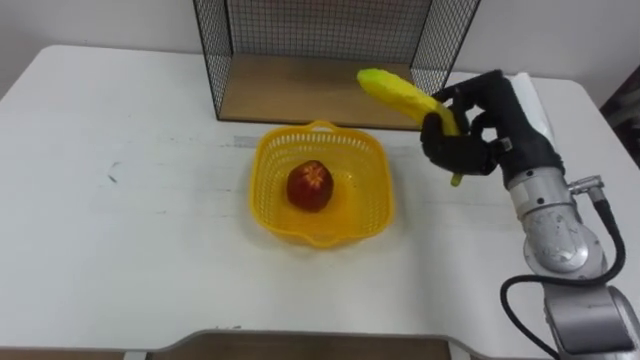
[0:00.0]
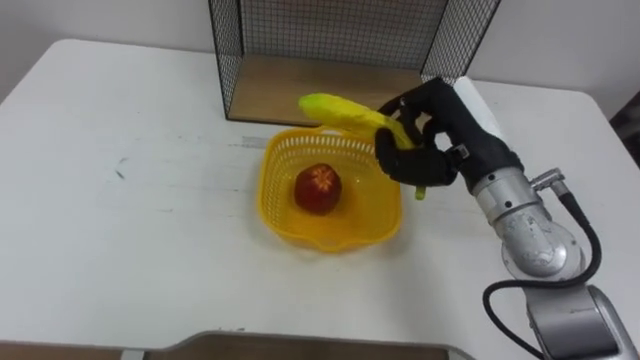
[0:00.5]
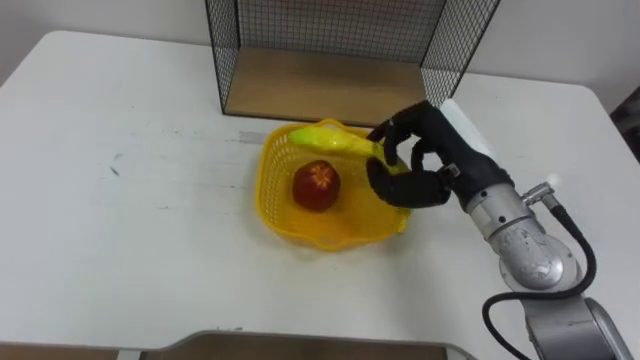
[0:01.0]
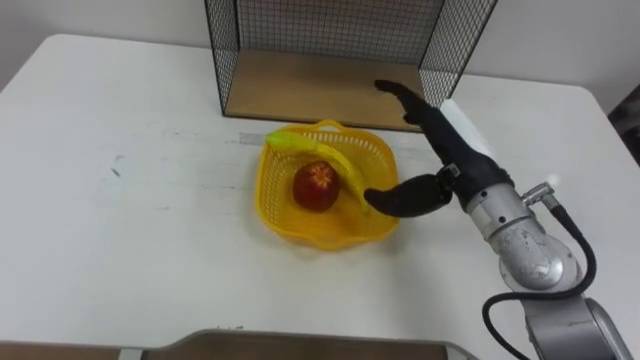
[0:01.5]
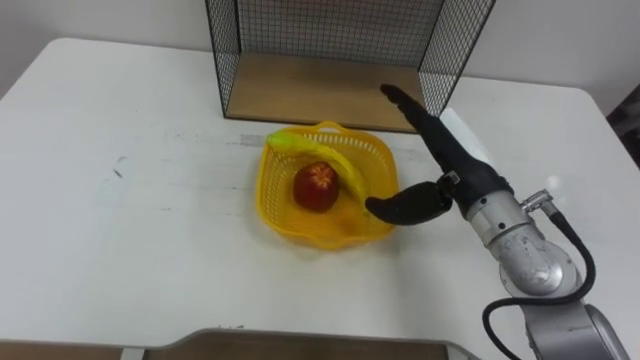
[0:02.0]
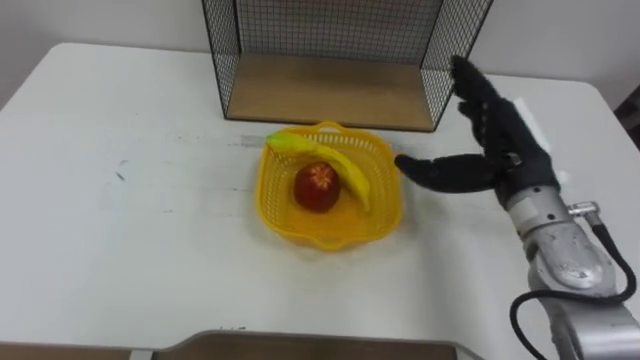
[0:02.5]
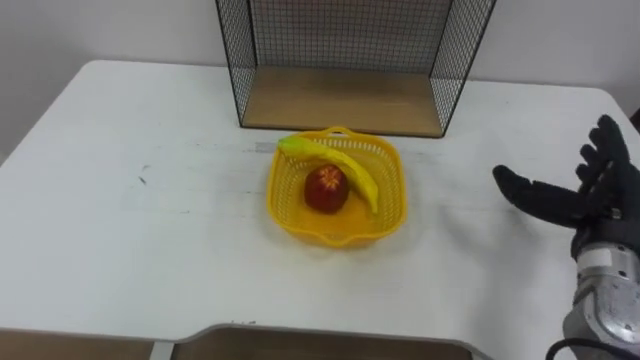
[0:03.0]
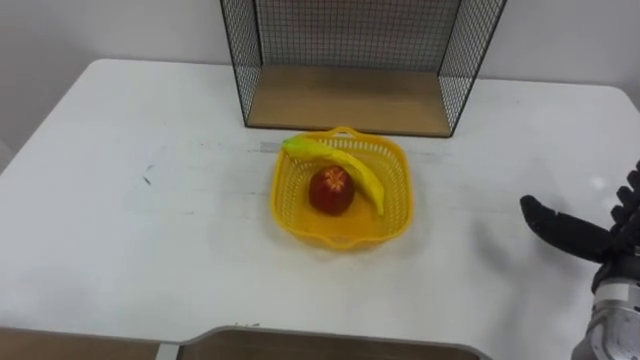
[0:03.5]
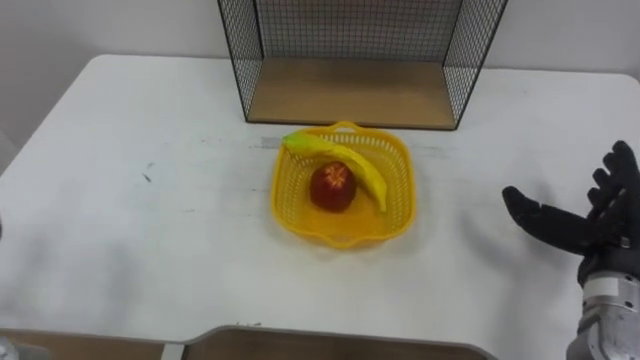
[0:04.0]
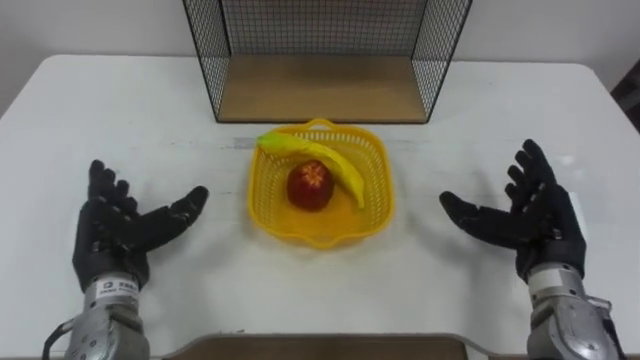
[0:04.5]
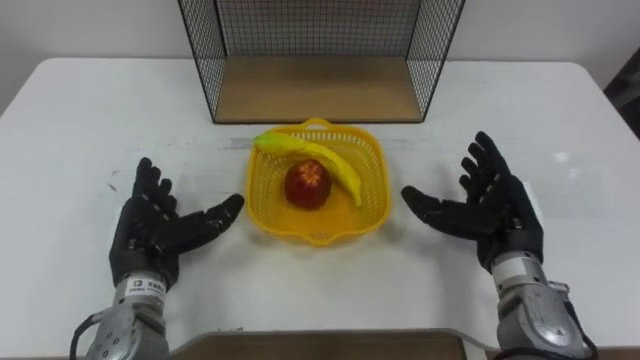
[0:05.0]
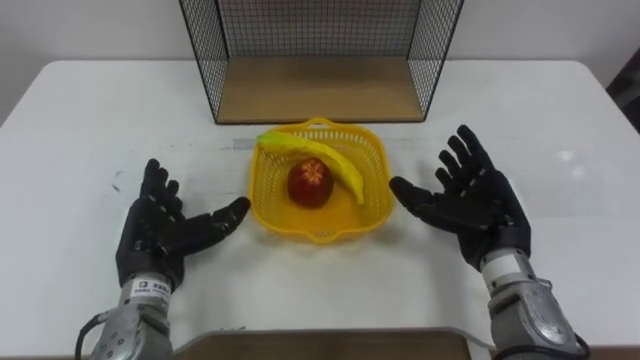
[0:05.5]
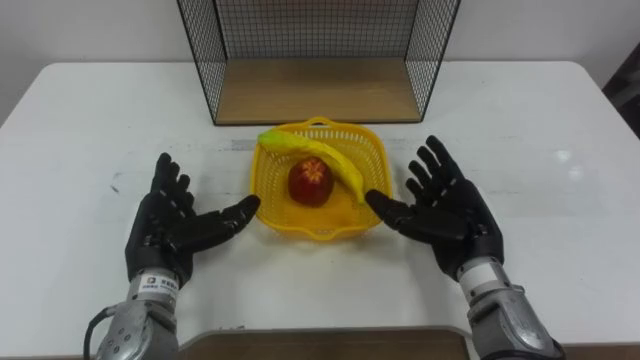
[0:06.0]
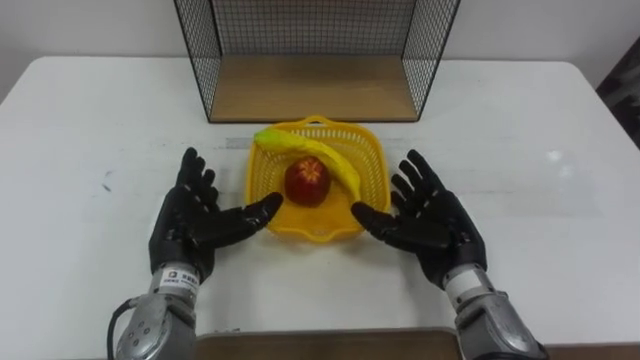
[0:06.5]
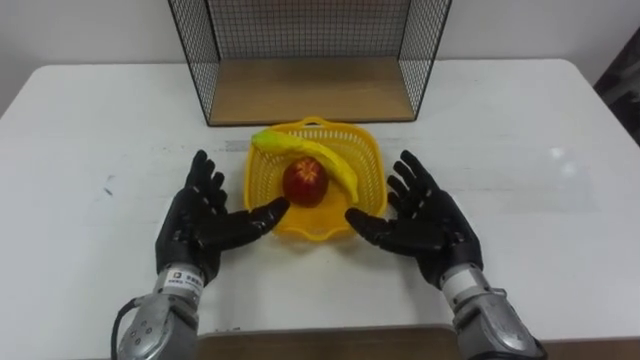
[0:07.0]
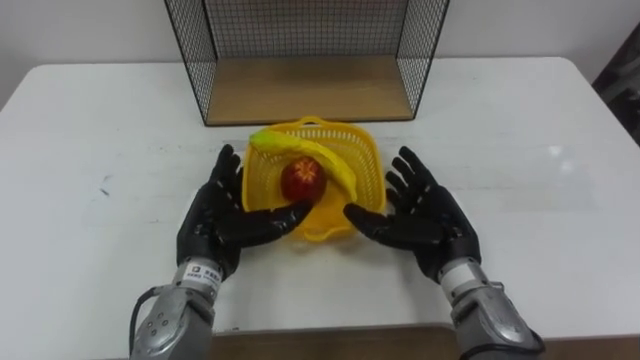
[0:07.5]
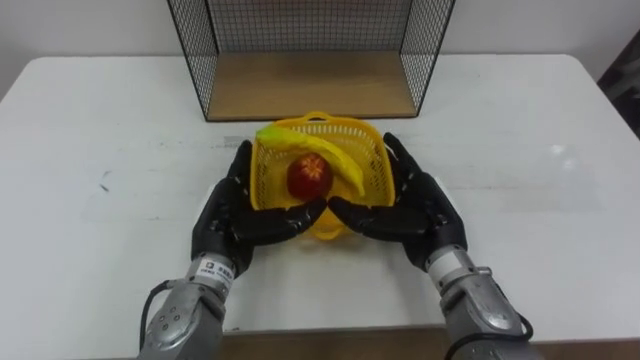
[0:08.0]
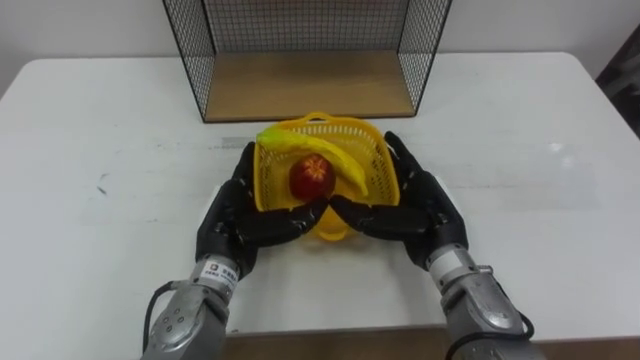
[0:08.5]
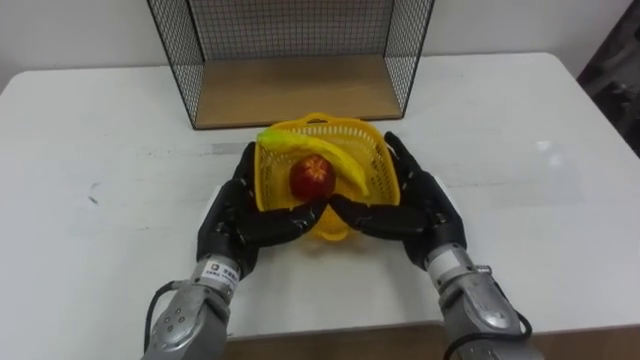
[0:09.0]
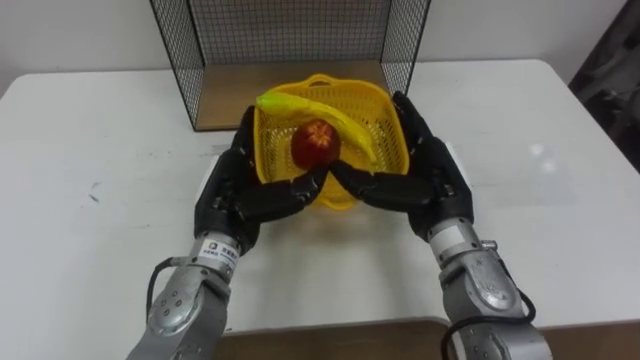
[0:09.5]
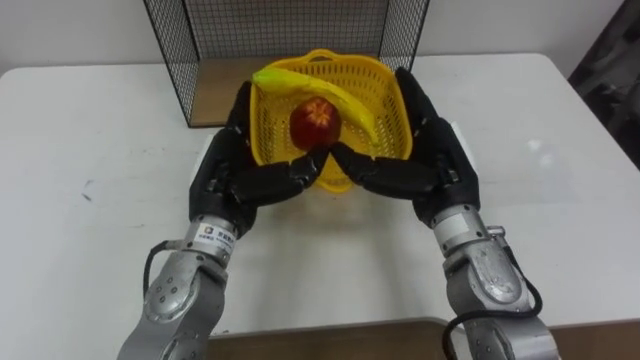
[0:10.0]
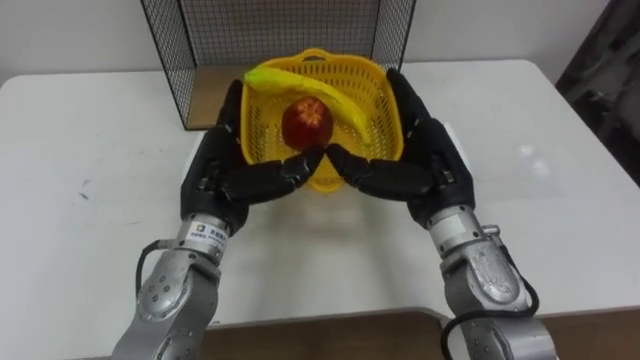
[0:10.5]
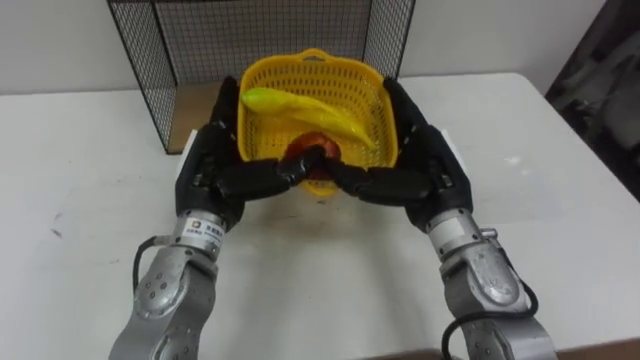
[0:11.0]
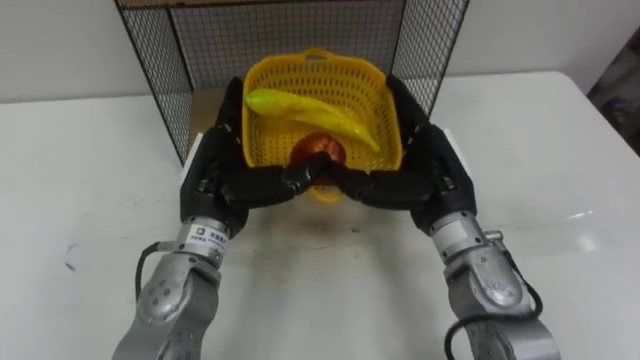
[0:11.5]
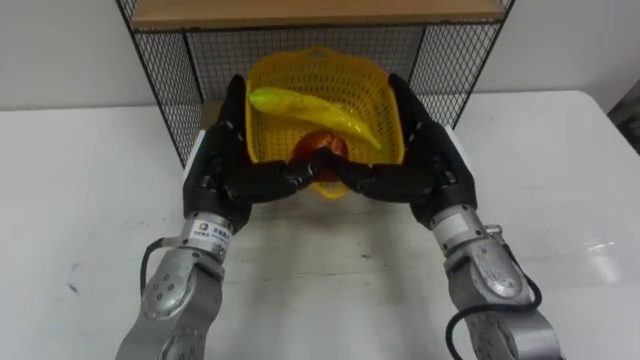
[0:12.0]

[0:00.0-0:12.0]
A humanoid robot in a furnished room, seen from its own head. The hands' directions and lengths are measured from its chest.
Task of the whole recording: Put the fruit on the table into the basket, then place the basket on the shelf.
0:00.0 to 0:02.0: The right hand goes approximately 5 cm to the left, and opens its fingers.
0:02.0 to 0:04.0: The right hand is displaced to the right and backward by about 20 cm.
0:04.0 to 0:06.0: The right hand travels to the left by approximately 15 cm.
0:06.0 to 0:08.0: The left hand travels to the right by roughly 10 cm.
0:08.0 to 0:10.0: Both hands move upward, approximately 5 cm.

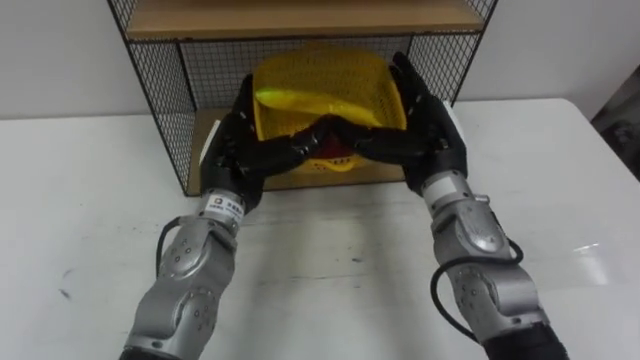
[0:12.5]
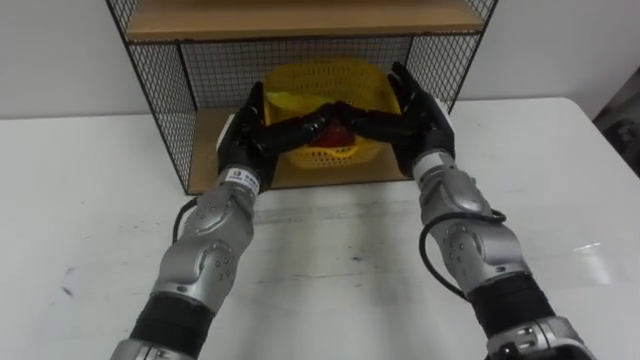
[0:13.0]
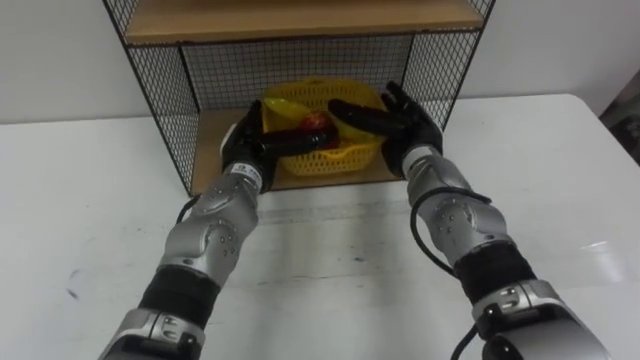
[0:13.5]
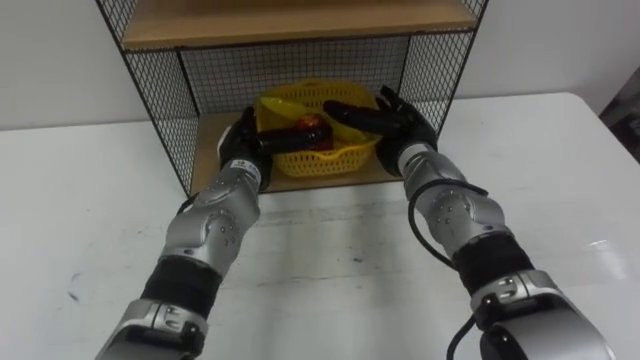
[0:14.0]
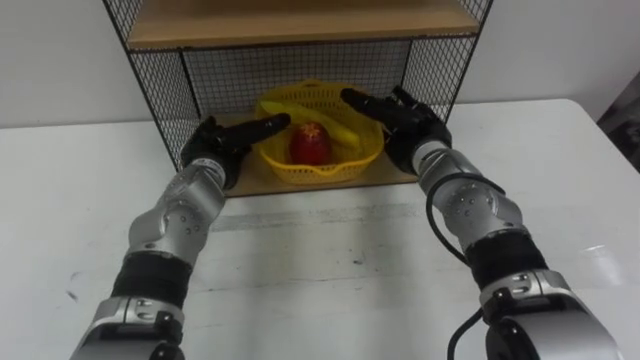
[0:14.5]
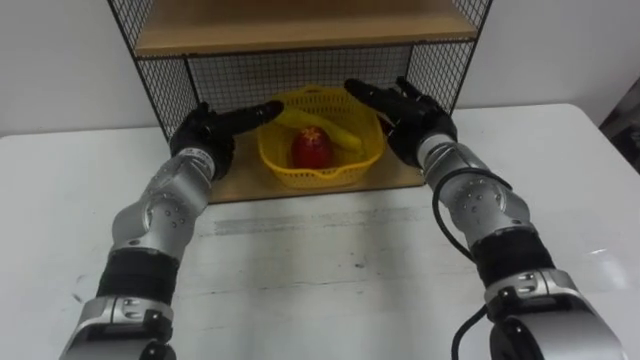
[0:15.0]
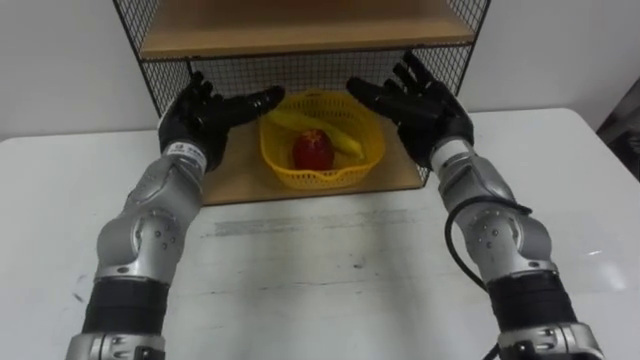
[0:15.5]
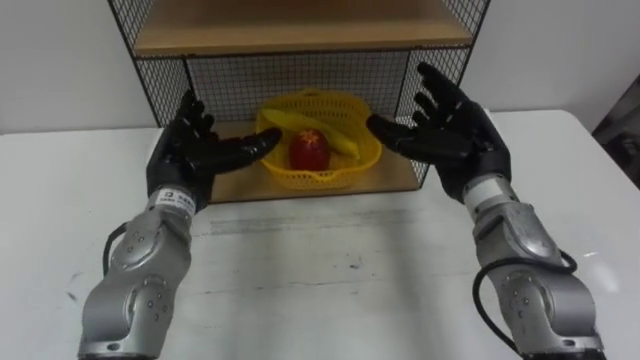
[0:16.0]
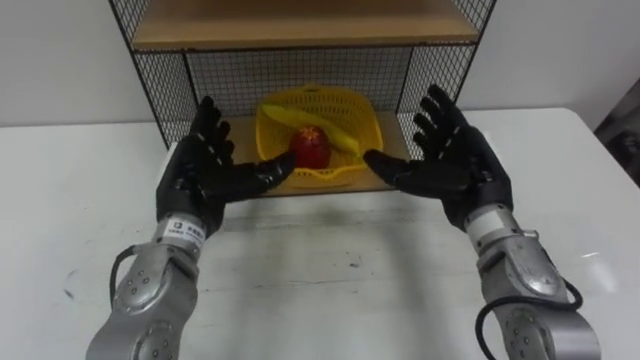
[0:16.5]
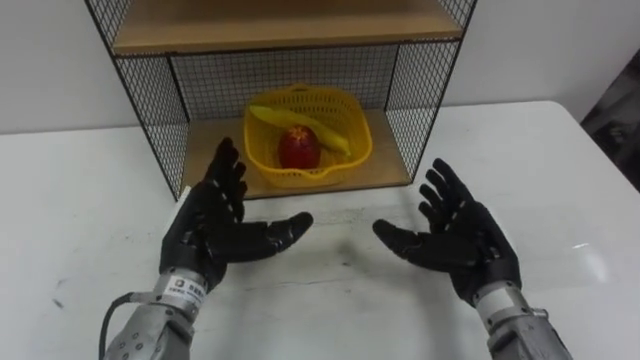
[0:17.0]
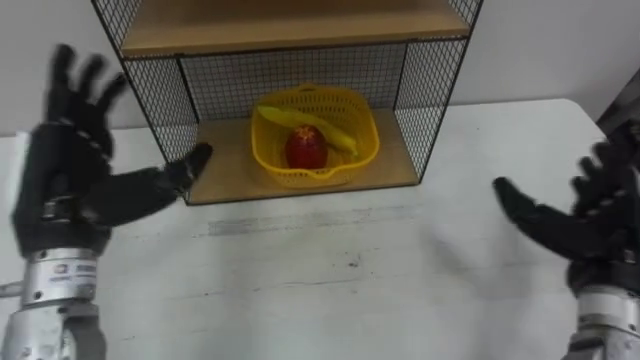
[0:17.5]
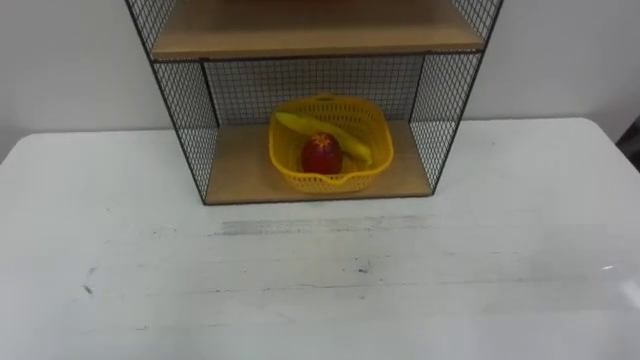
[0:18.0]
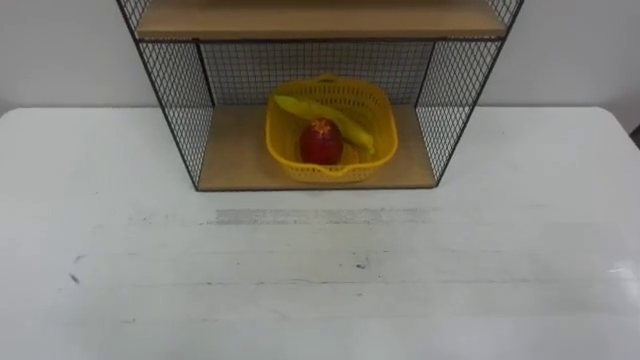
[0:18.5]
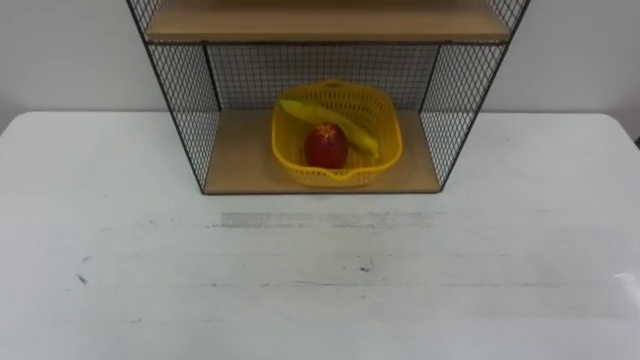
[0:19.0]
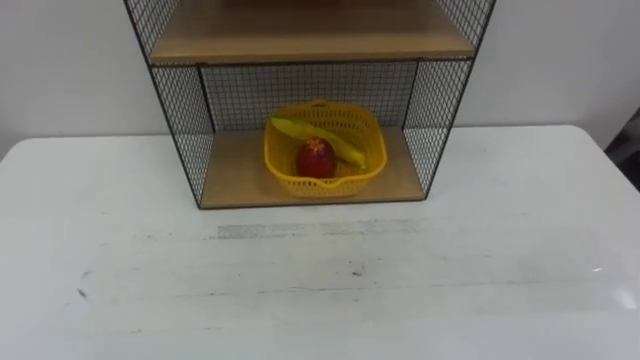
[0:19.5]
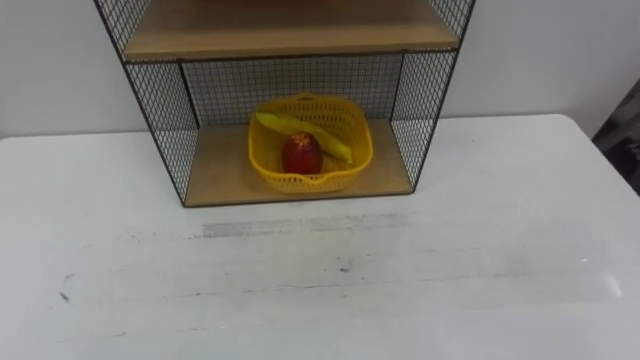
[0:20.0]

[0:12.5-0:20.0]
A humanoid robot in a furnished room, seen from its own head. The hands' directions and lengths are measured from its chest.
Task of the whole recording: Put the fruit on the table into the basket, then place the basket on the shelf.
0:12.5 to 0:14.5: The right hand moves forward, roughly 5 cm. The left hand goes approximately 10 cm forward and downward.
0:14.5 to 0:16.5: The right hand travels backward and to the right by about 10 cm; the left hand moves backward, roughly 10 cm.
